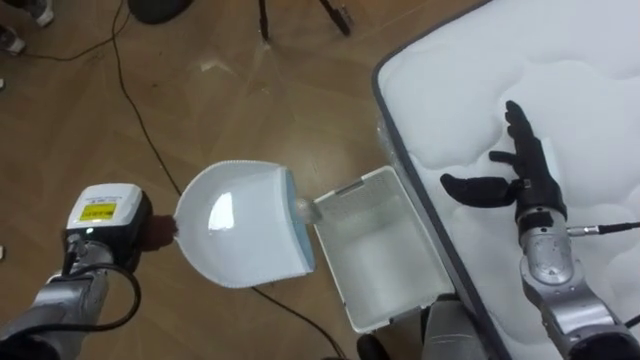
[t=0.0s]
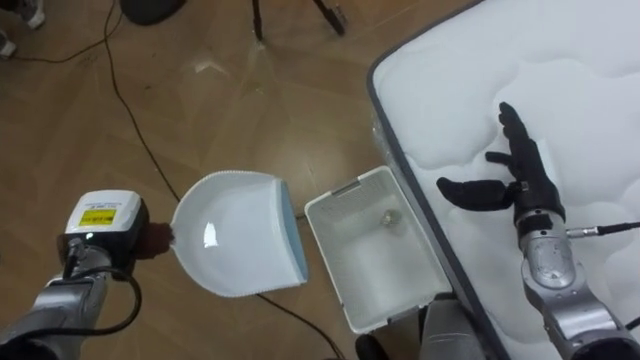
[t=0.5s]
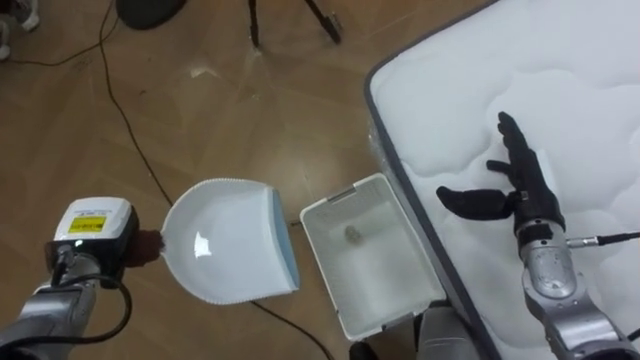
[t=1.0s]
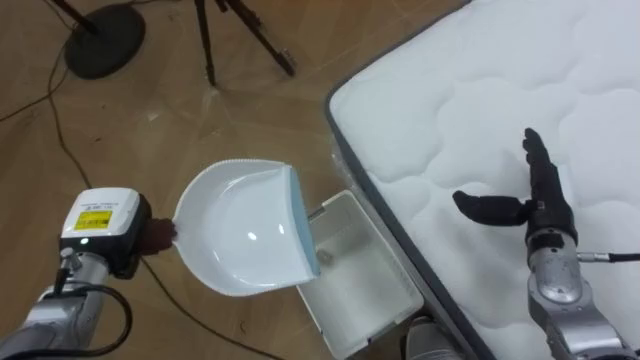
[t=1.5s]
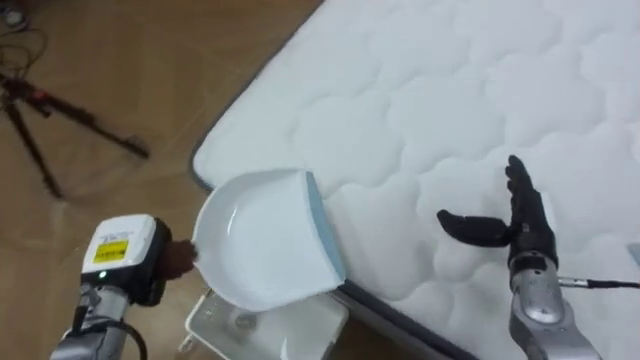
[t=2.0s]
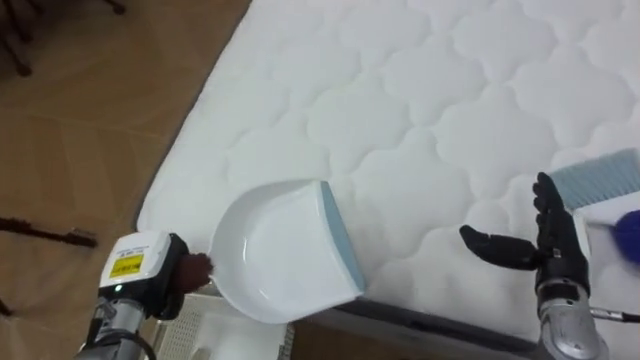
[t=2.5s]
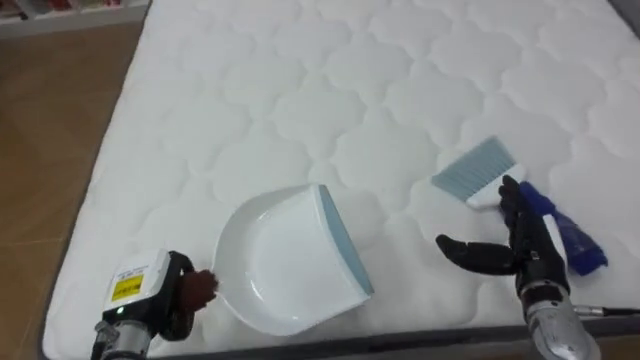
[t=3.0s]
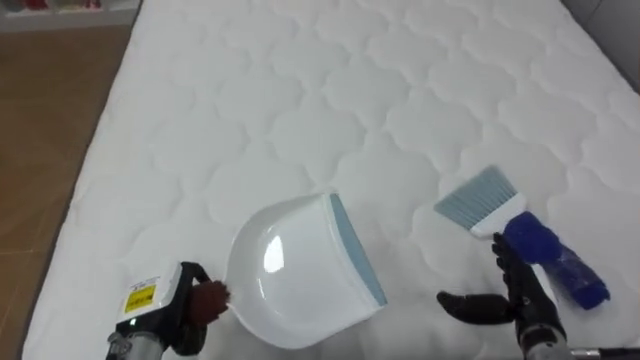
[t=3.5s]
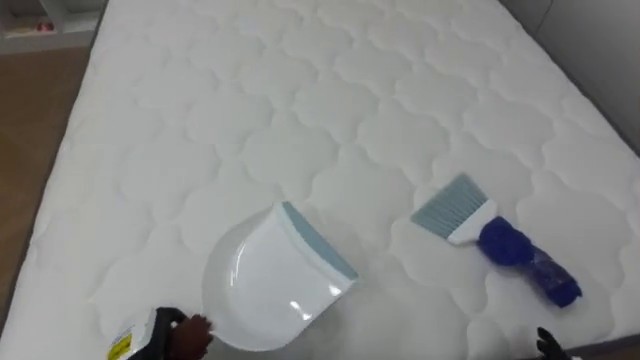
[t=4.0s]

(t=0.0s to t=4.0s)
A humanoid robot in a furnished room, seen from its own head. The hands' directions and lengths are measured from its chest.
Task of the whole recording: Pick up the brush on your right and the dustpan on your left. Use the brush to sweep the crumpled paper on the bed into the dustpan, then turn left and empty it into the basket.
t=0.0s - t=2.0s: The robot rotates roughly 50 degrees to its right. The right hand is displaced downward by about 5 cm; the left hand shifts by some 5 cm.
t=2.0s - t=4.0s: The robot faces approximately 40 degrees further to its right. The left hand goes some 15 cm backward and downward.

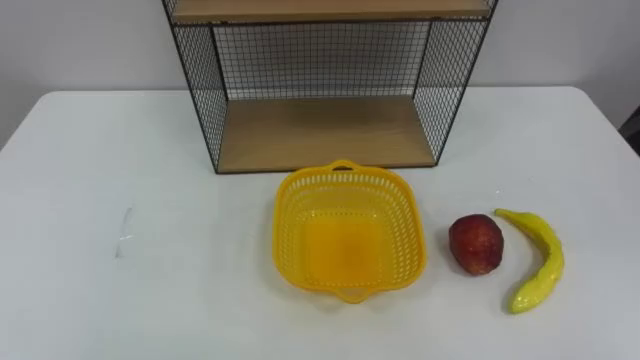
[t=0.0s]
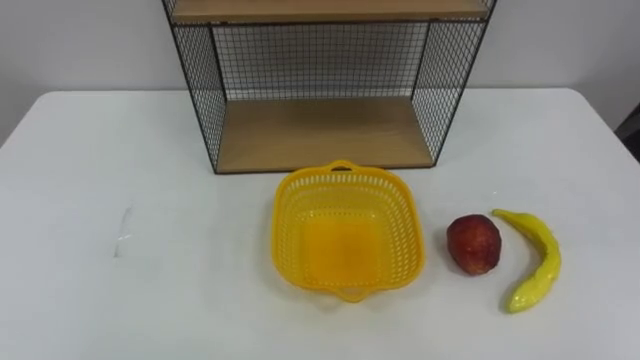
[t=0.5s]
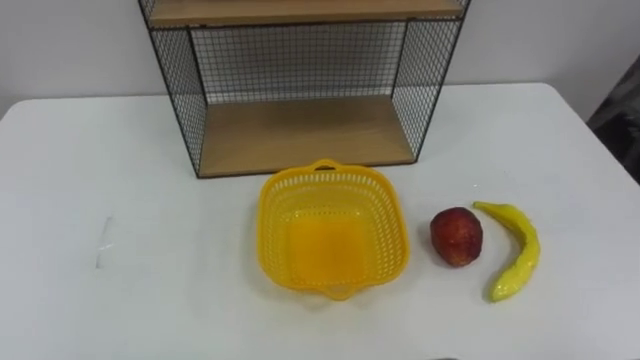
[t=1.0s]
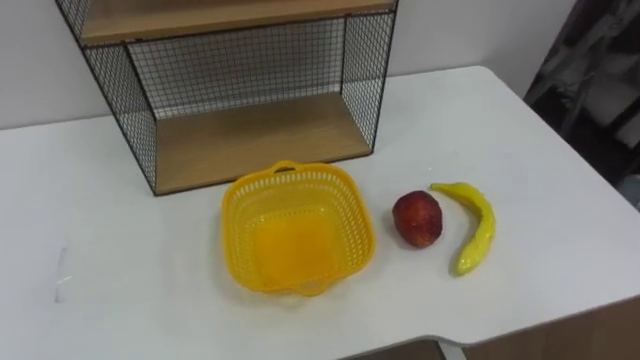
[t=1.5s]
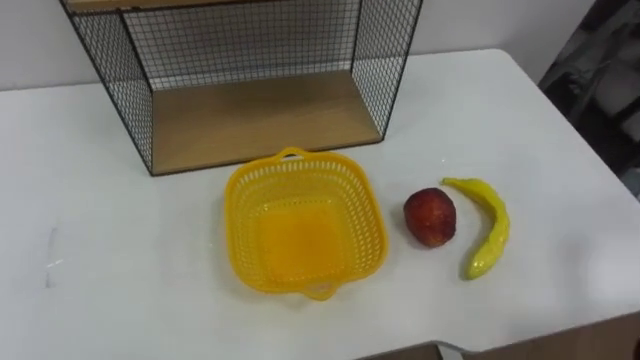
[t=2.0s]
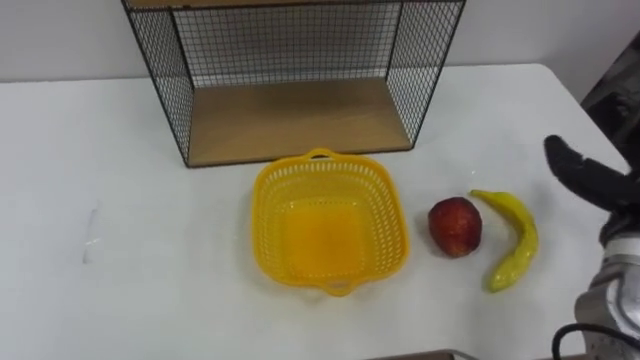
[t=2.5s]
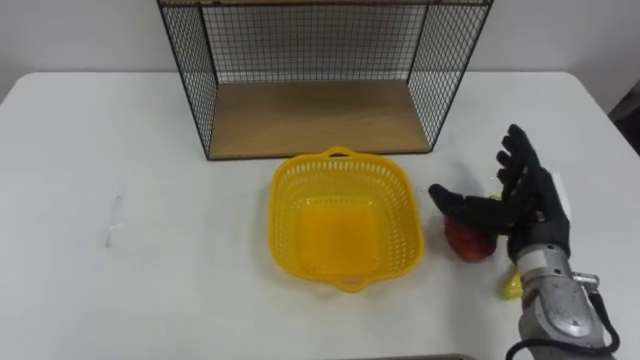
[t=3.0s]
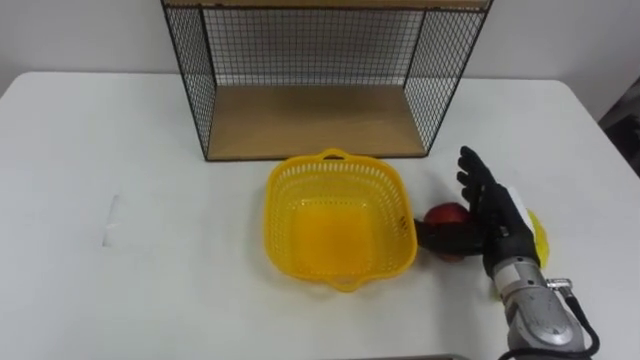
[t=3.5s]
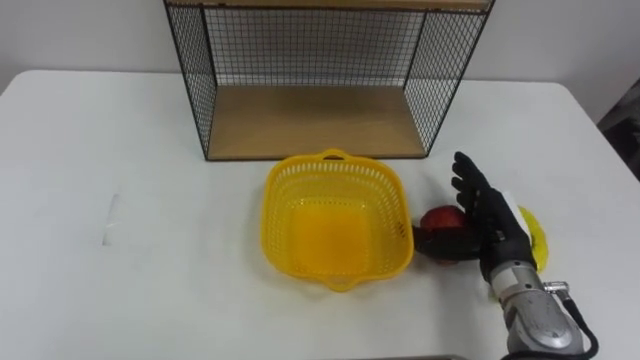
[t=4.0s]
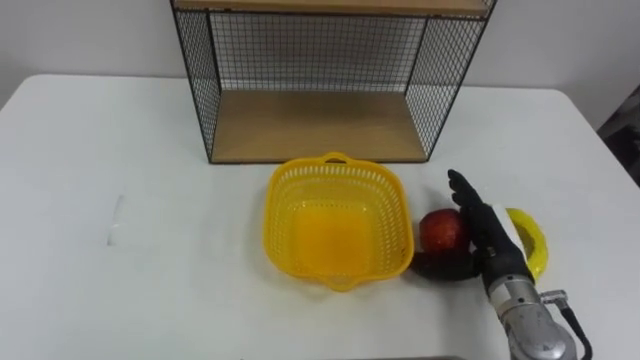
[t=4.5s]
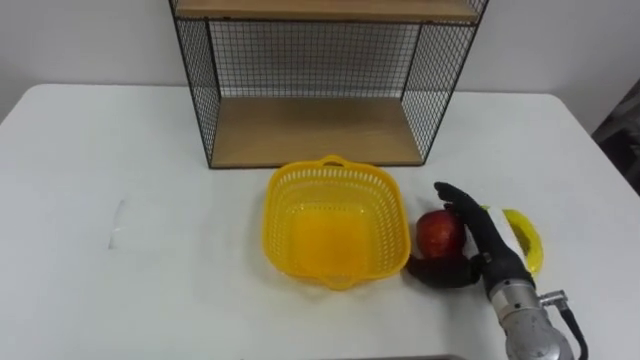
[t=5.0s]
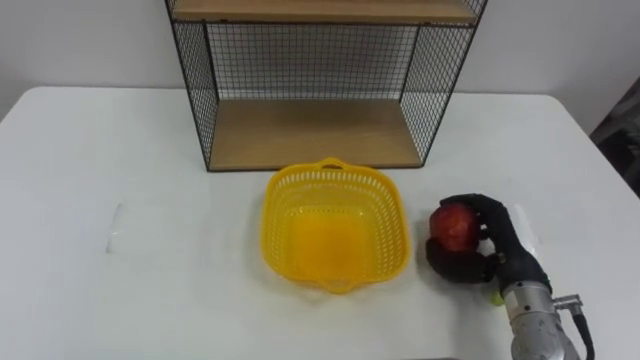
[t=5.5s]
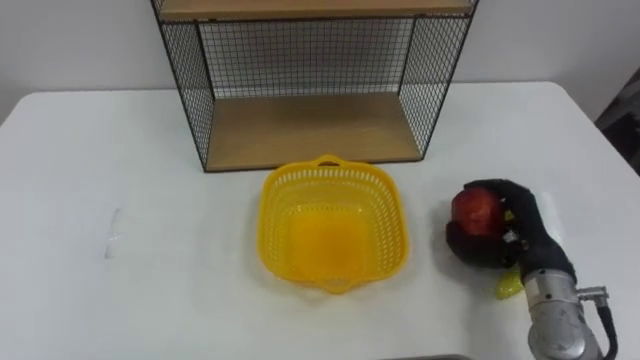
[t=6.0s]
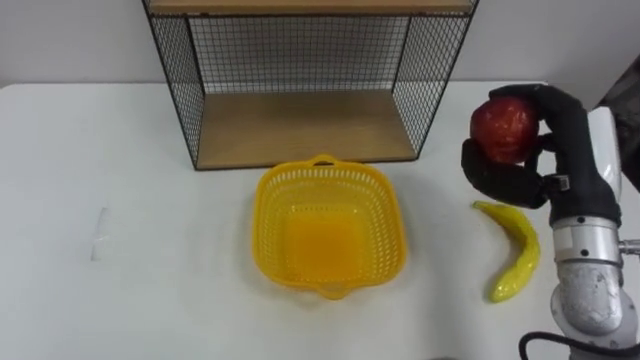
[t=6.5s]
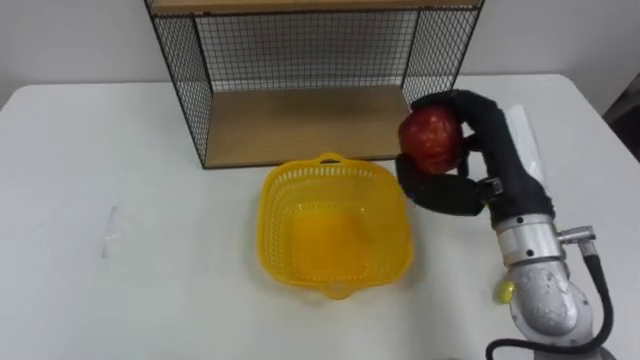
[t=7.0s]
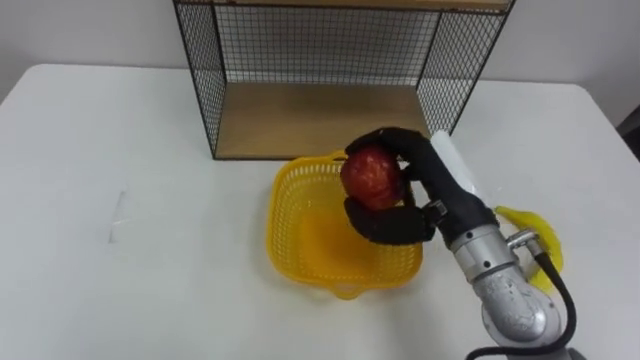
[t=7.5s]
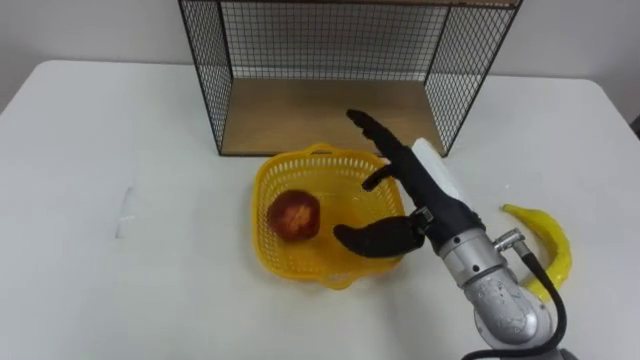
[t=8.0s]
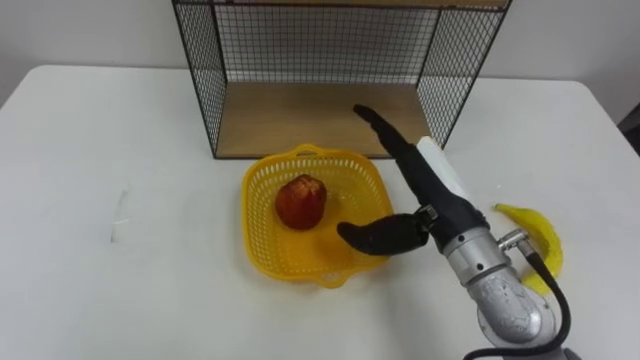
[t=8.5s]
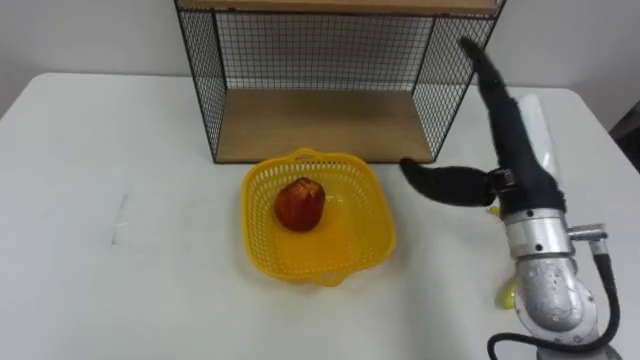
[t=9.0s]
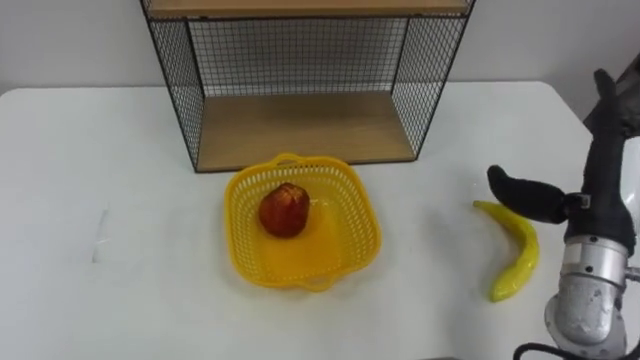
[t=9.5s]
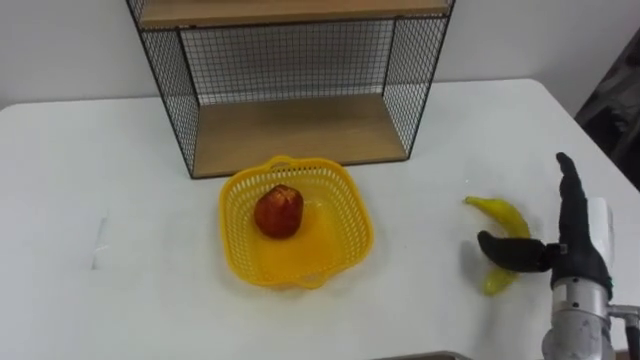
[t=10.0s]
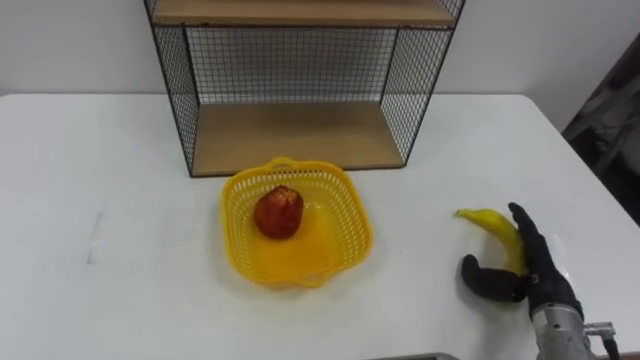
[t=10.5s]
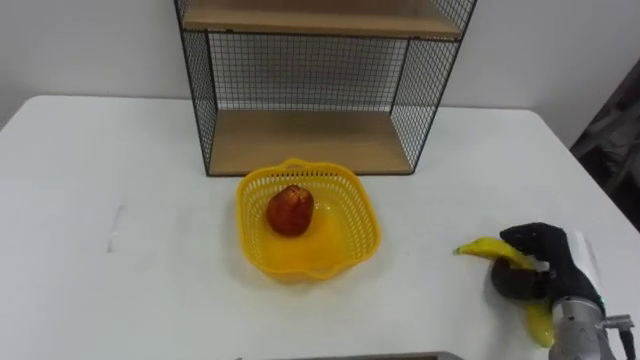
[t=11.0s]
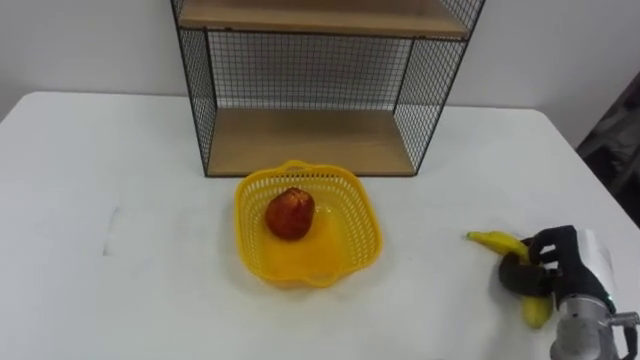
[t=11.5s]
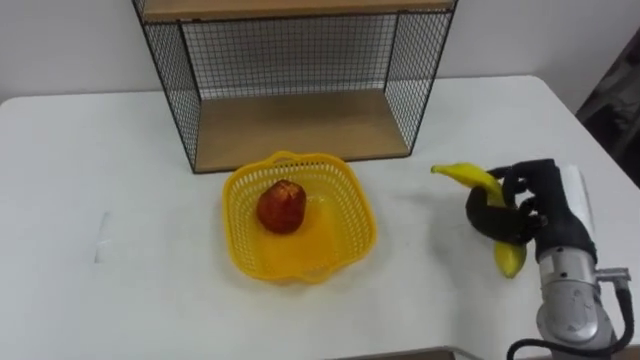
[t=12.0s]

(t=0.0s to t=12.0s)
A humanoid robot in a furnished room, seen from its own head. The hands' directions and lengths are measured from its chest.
Task of the whole recording: Put the fruit on the table into the basket, then place the basket on the shelf.
t=4.0s - t=6.0s: The right hand closes up.
t=6.0s - t=8.0s: The right hand goes some 15 cm to the left and upward, and opens its fingers.
t=8.0s - t=10.0s: The right hand is displaced to the right and downward by approximately 20 cm.
t=10.0s - t=12.0s: The right hand travels downward and back again, approximately 10 cm each way, and closes.

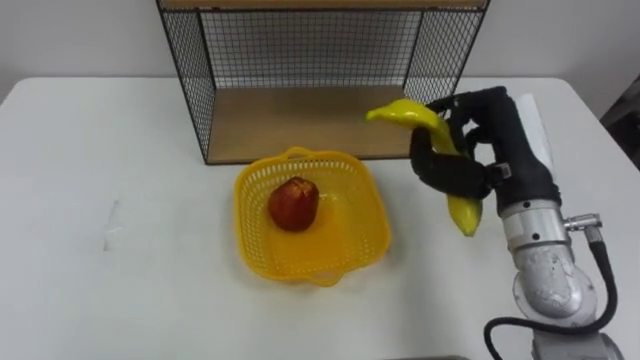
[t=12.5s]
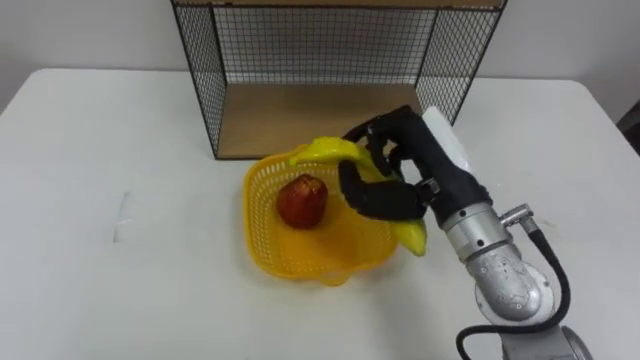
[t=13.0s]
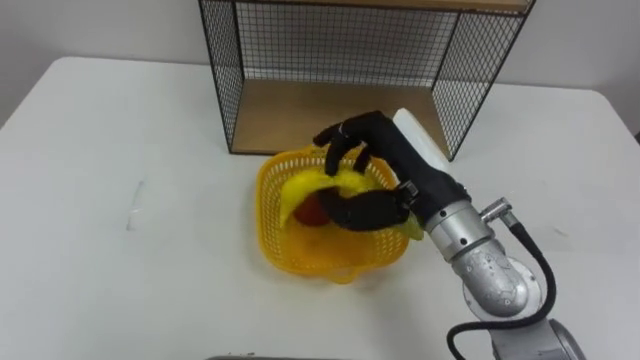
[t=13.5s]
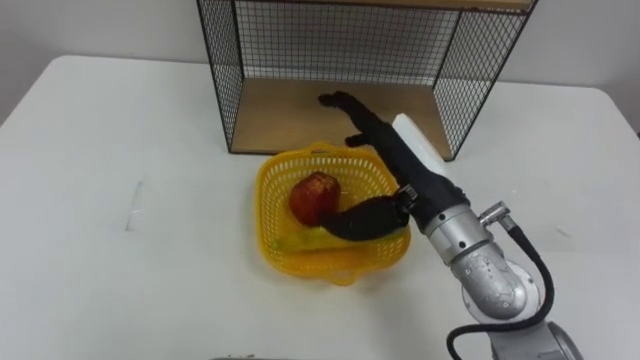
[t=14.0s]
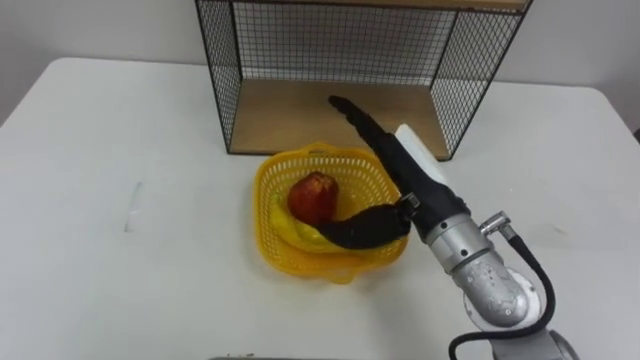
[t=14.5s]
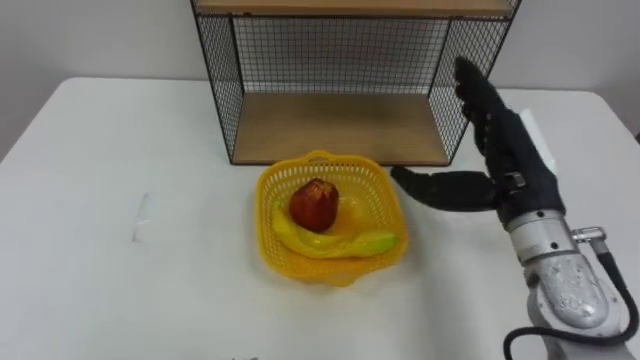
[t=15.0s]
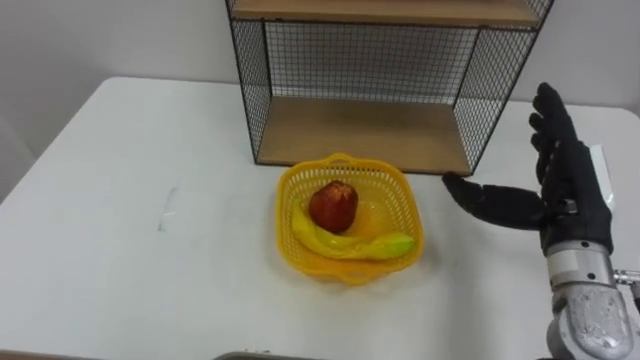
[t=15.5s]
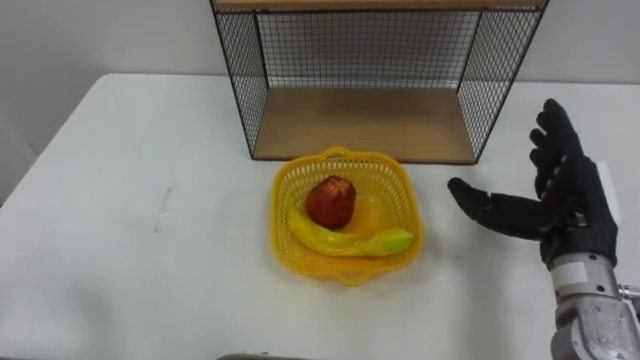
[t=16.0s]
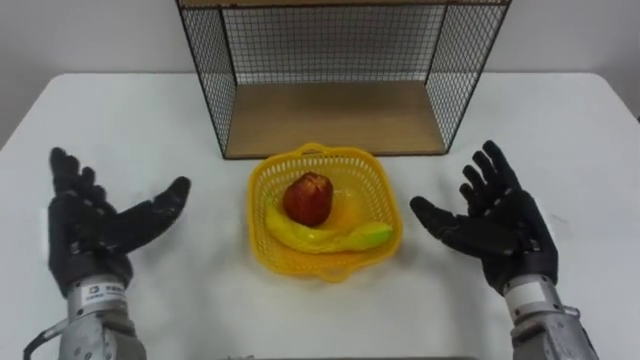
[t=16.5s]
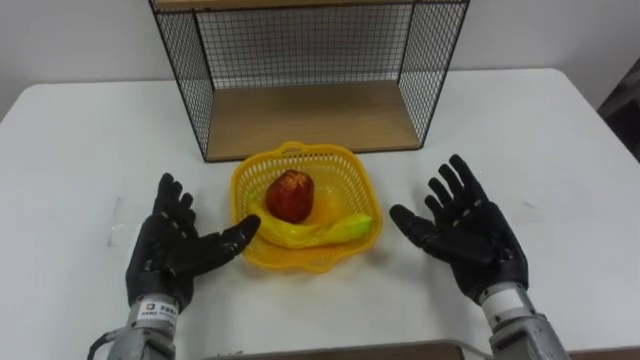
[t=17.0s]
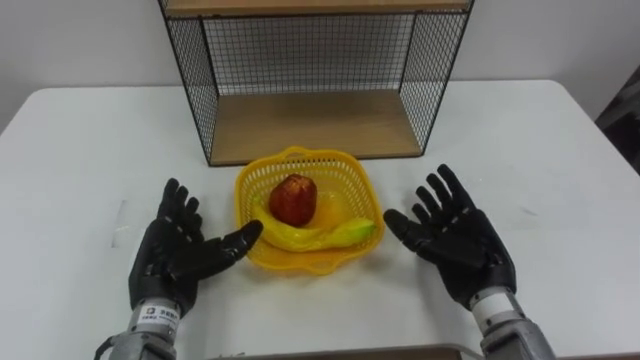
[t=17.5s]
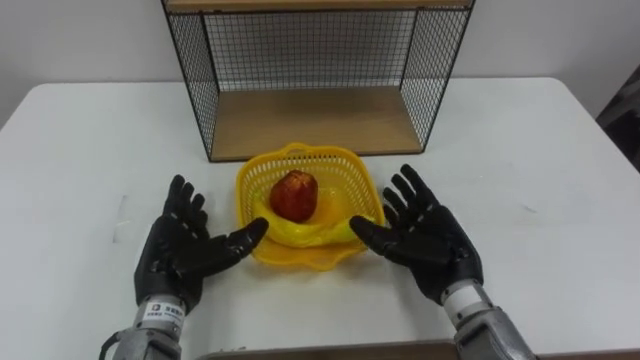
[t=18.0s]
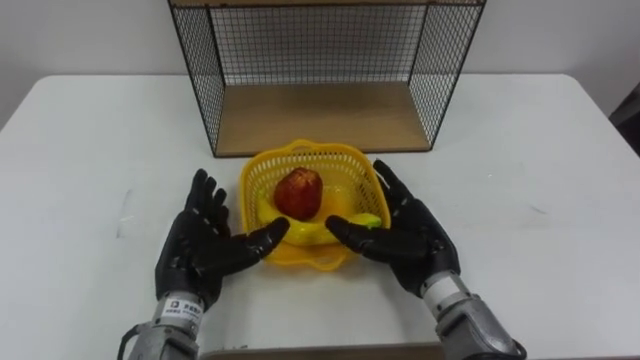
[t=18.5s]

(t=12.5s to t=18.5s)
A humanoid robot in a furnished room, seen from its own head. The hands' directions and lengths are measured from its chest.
Task of the whole recording: Put the fruit on the table into the basket, then place the basket on the shelf.
t=12.5s - t=14.5s: The right hand is displaced to the left by about 10 cm, and opens.
t=14.5s - t=16.5s: The right hand moves to the right and downward, approximately 15 cm.
t=16.5s - t=18.5s: The left hand is displaced to the right and downward by some 10 cm; the right hand goes some 10 cm to the left.
